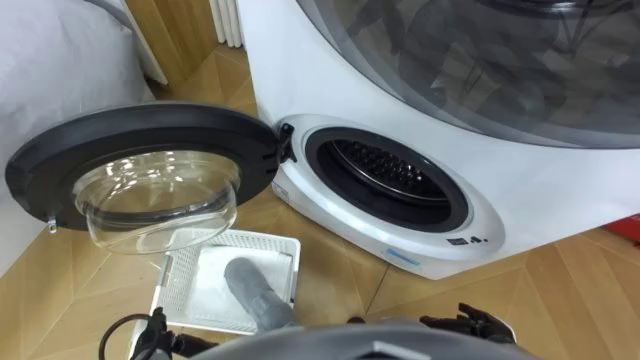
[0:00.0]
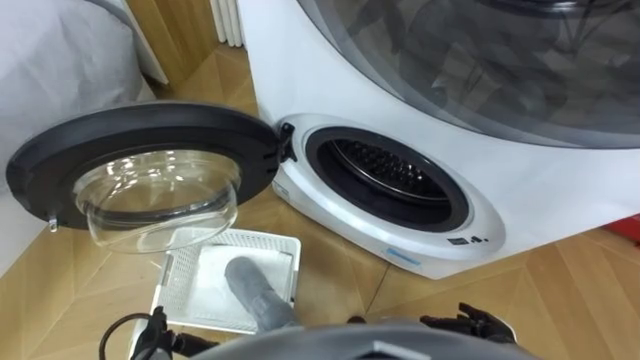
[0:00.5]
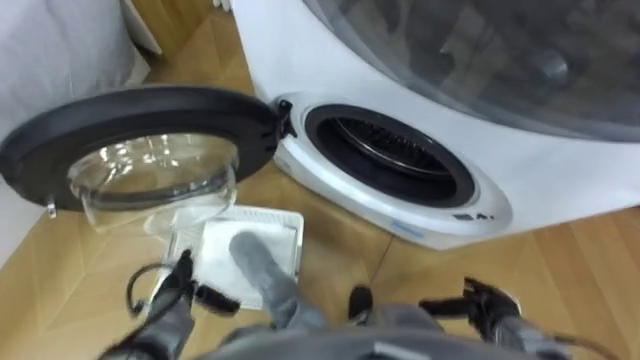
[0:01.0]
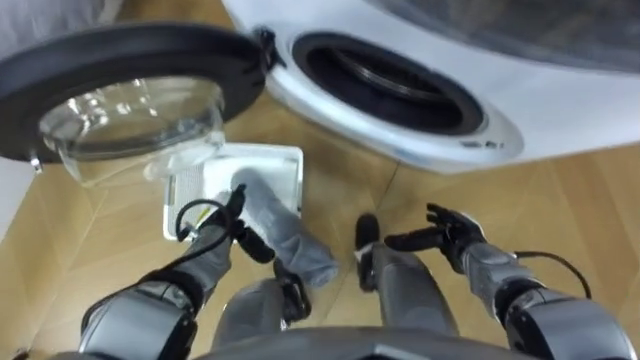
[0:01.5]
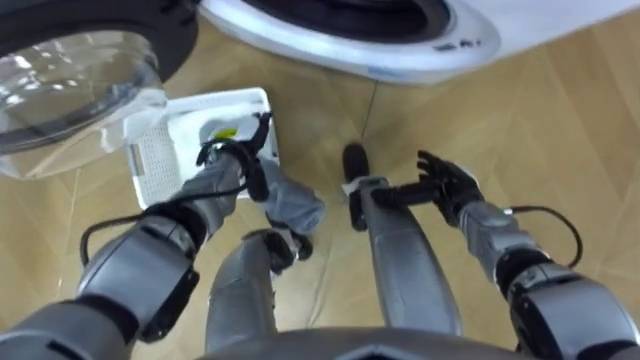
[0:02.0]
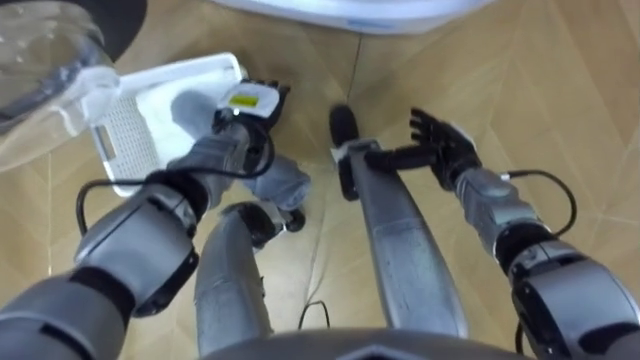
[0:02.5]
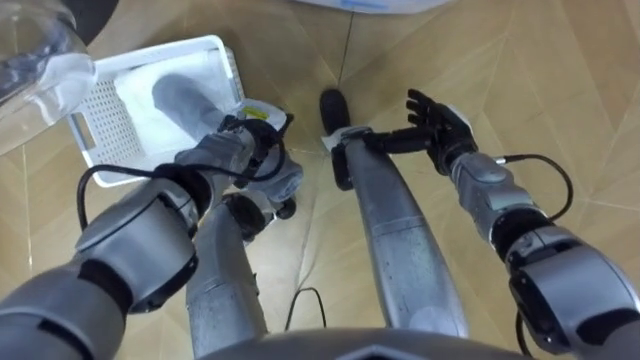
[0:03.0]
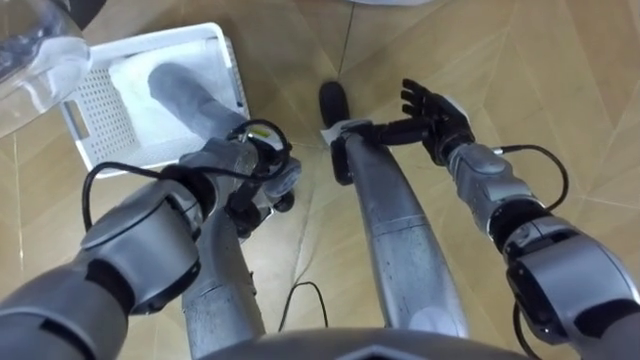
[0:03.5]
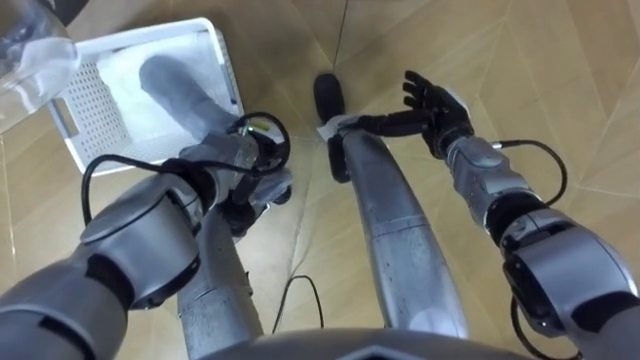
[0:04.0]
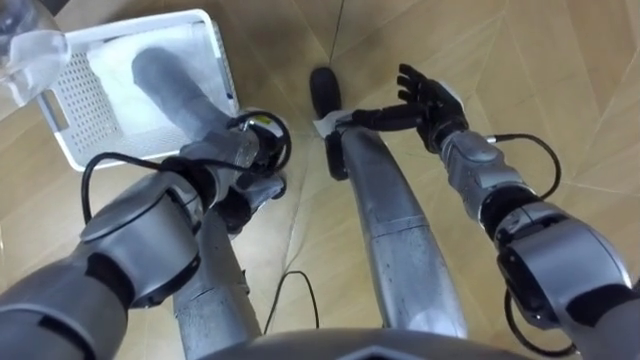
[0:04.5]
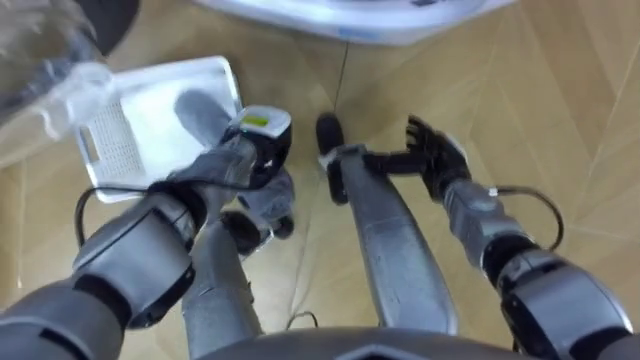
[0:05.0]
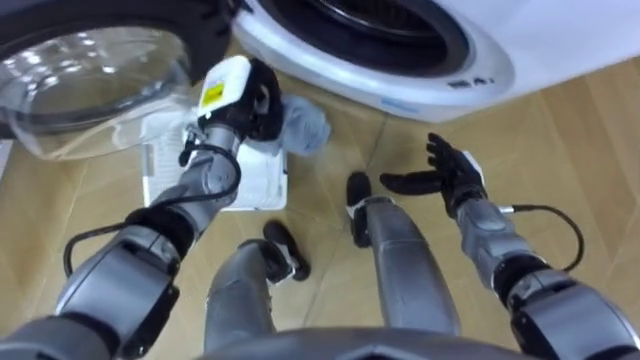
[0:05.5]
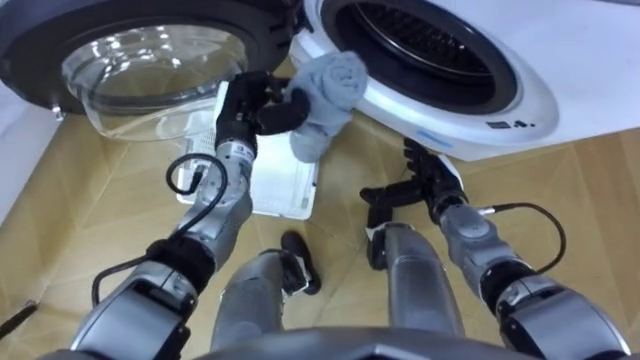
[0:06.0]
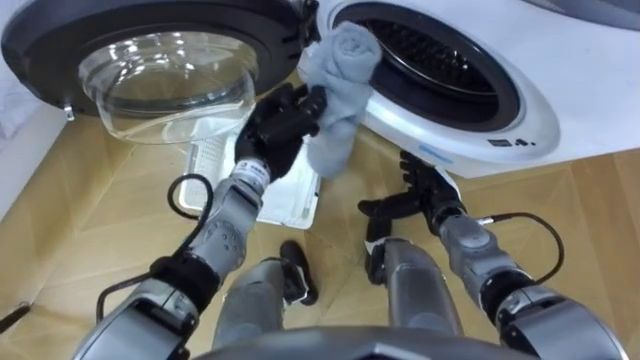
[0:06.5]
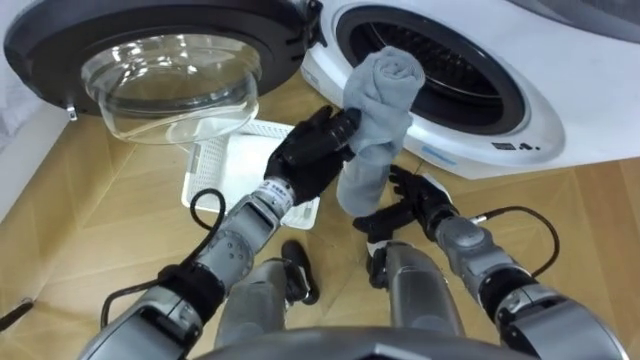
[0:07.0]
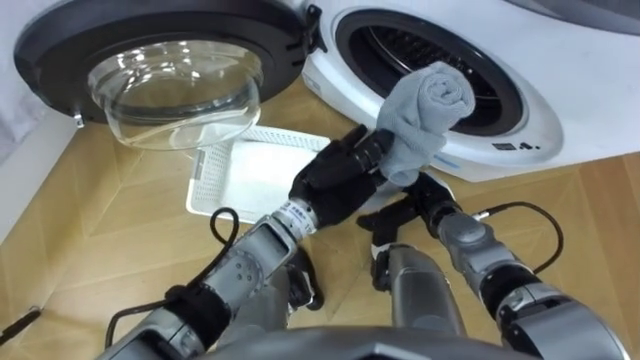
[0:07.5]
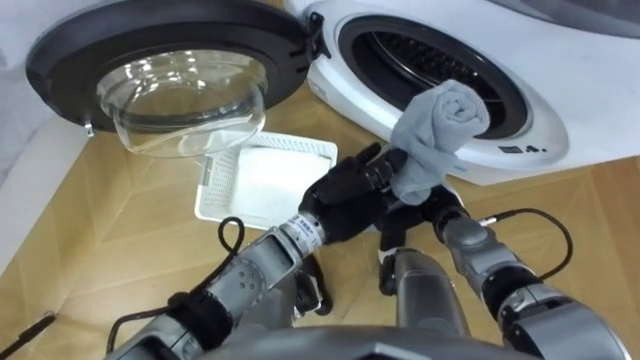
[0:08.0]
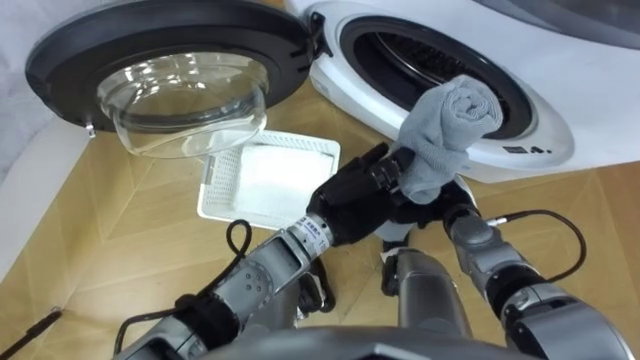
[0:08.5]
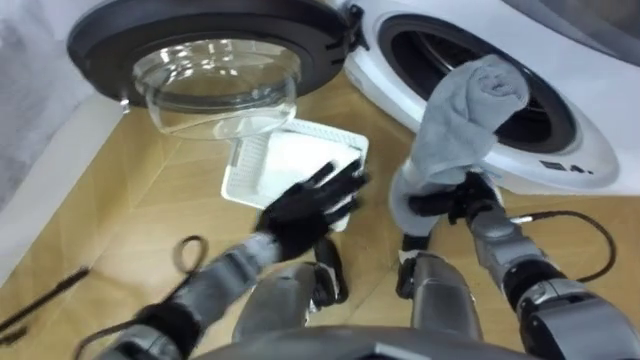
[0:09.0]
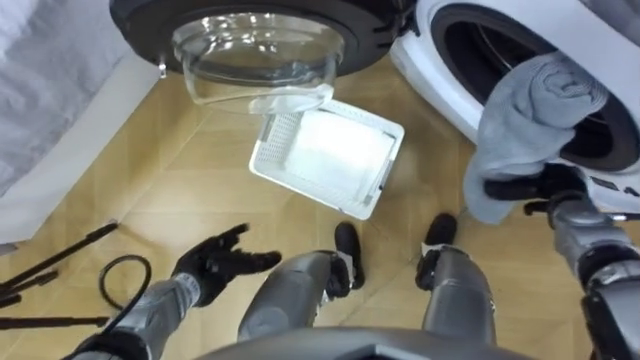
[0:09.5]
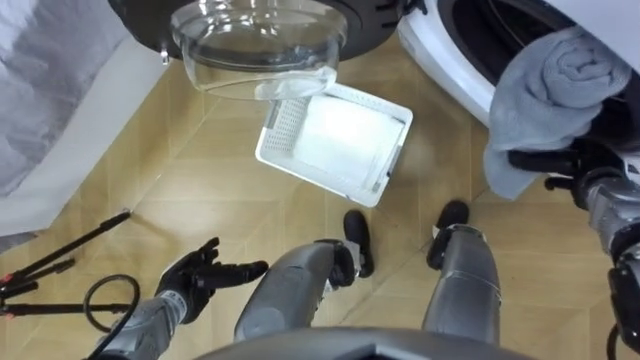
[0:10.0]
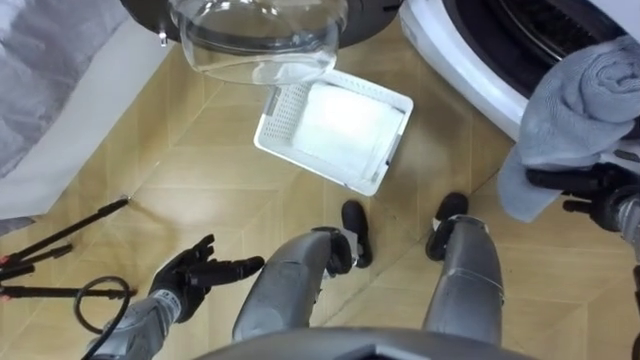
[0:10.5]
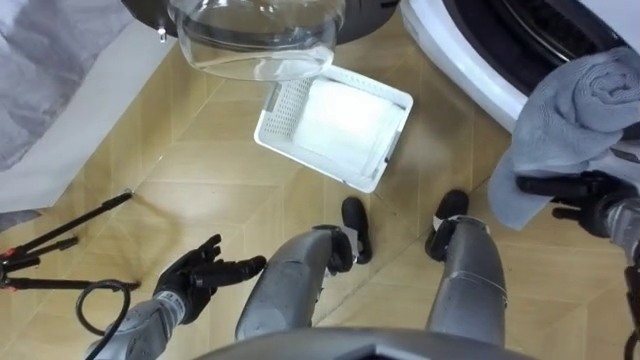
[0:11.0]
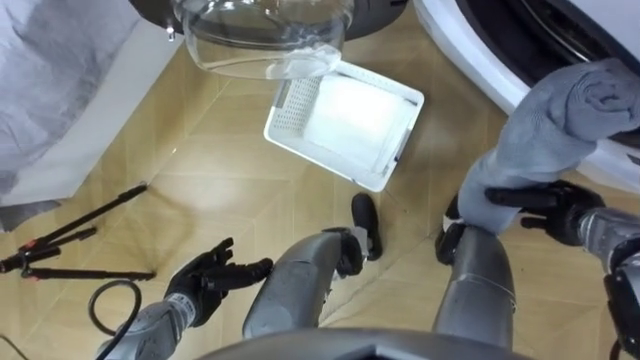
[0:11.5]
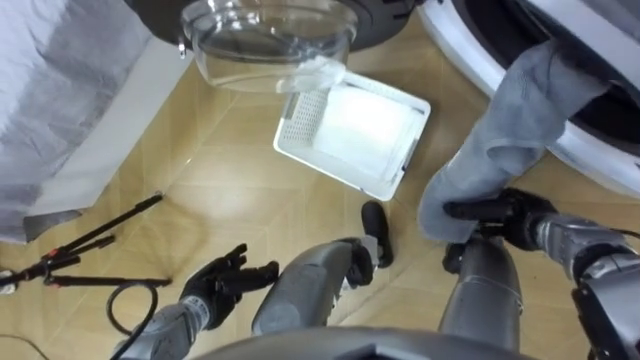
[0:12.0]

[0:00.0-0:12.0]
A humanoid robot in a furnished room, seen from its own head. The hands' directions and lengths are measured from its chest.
Task of the whole recording: Take the towel from the basket and put it into the washing machine.
0:02.0 to 0:04.0: The right hand is displaced forward and upward by some 10 cm.
0:04.0 to 0:06.0: The left hand heads upward, covering some 5 cm, and closes. Meanwhile the right hand heads backward and downward, covering about 10 cm.
0:06.0 to 0:08.0: The left hand is displaced to the right and backward by some 20 cm.
0:08.0 to 0:10.0: The right hand heads to the right, covering some 20 cm, and closes its fingers. The left hand goes roughly 30 cm to the left, downward and backward, and opens.
0:10.0 to 0:12.0: The right hand travels to the left, downward and backward by some 10 cm.

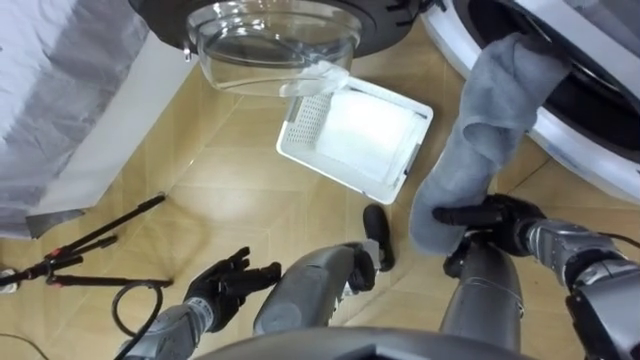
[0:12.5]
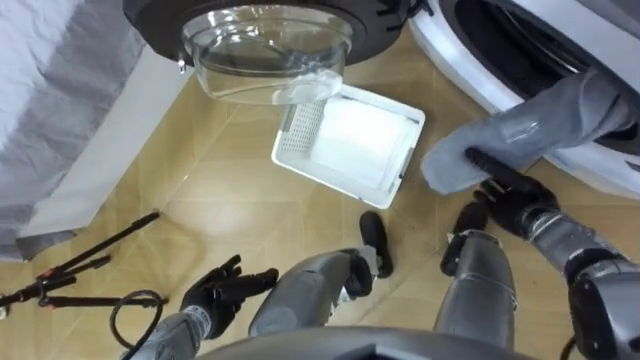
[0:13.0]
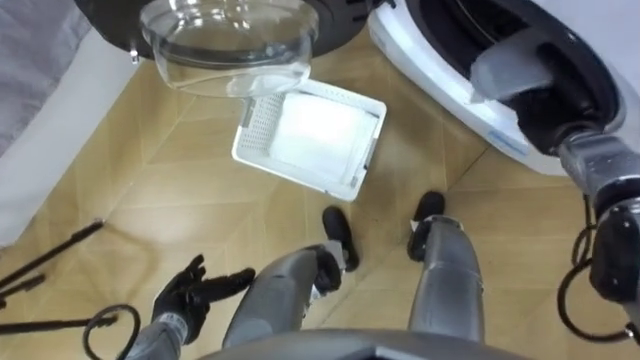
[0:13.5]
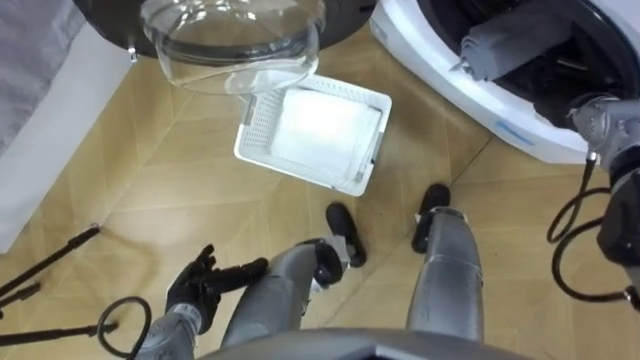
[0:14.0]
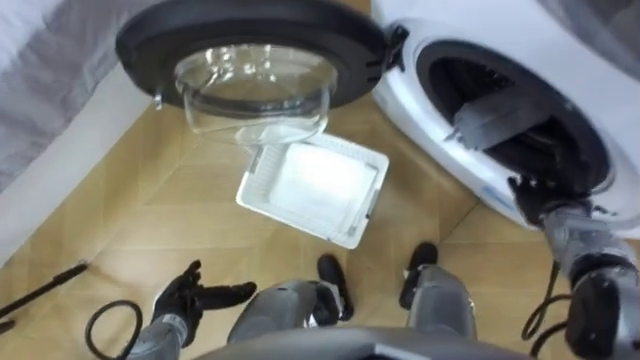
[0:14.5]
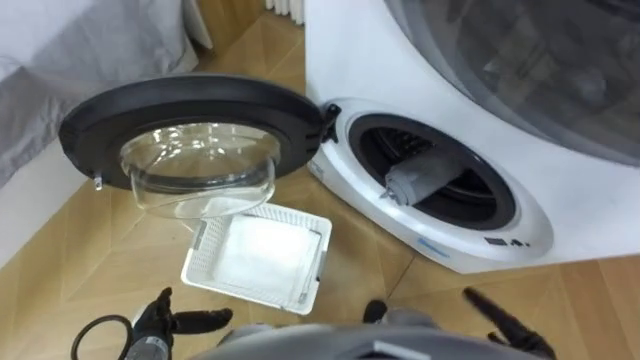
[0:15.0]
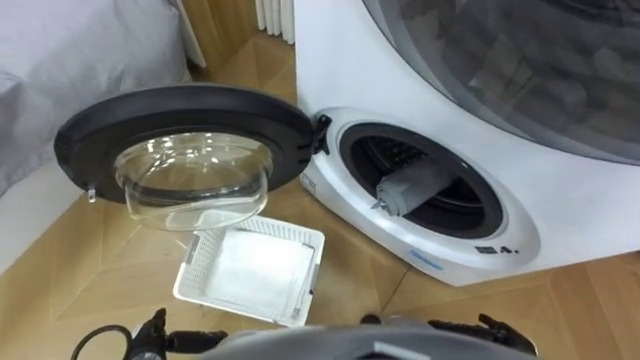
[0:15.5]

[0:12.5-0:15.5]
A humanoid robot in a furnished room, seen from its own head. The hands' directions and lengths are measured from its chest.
Task of the whole recording: Take the towel from the basket and put it into the washing machine.
0:12.5 to 0:14.0: The right hand heads forward, upward and to the right, covering approximately 20 cm, and opens up.
0:14.0 to 0:15.5: The left hand shifts about 10 cm backward and to the left. Meanwhile the right hand shifts some 40 cm backward and downward.

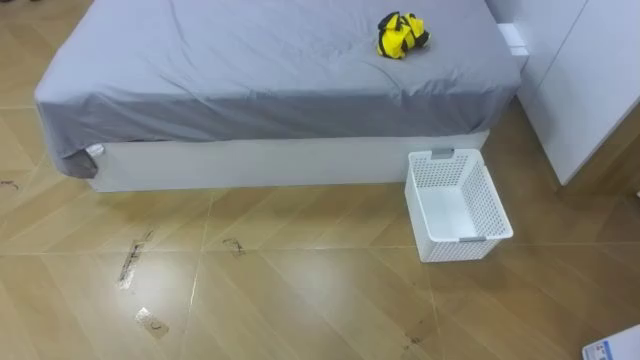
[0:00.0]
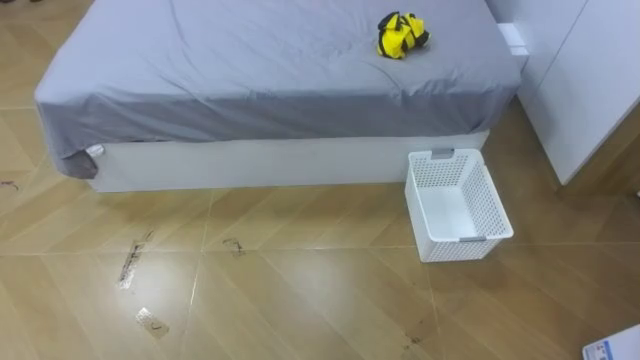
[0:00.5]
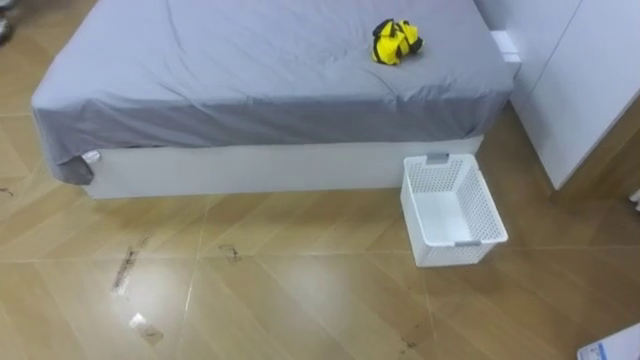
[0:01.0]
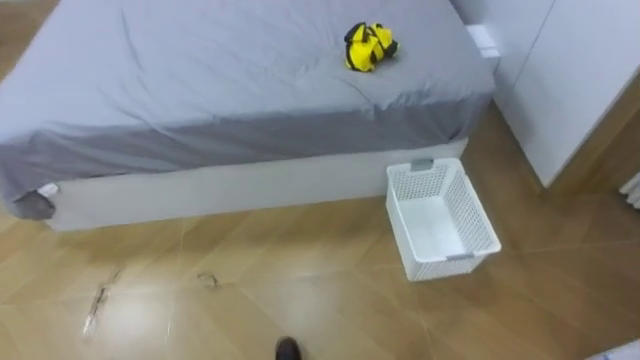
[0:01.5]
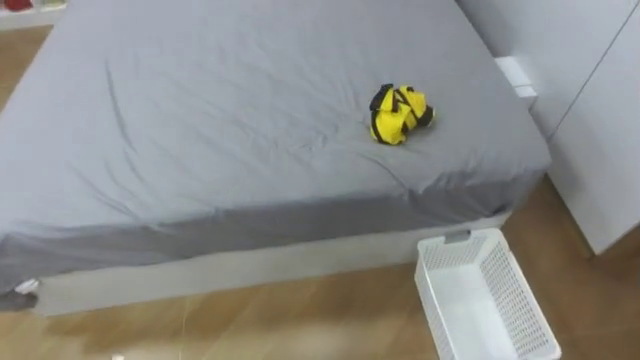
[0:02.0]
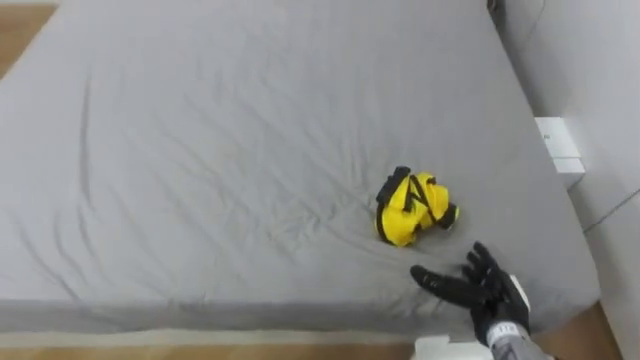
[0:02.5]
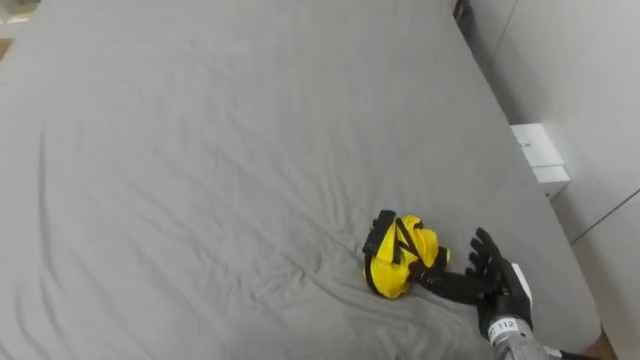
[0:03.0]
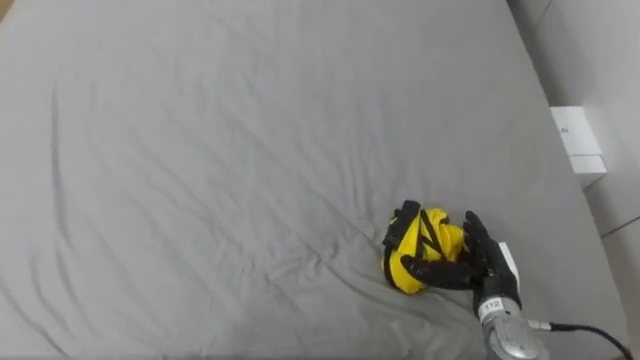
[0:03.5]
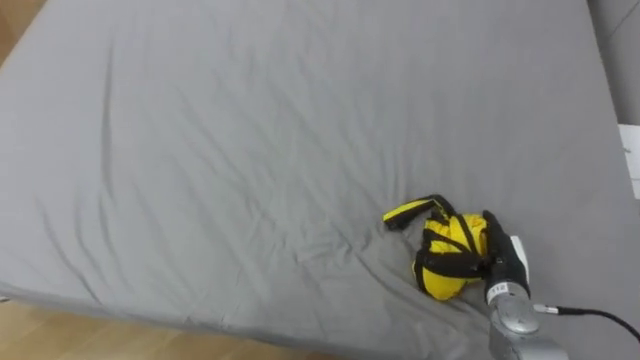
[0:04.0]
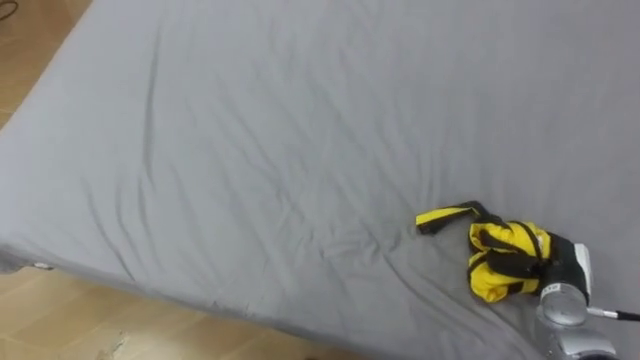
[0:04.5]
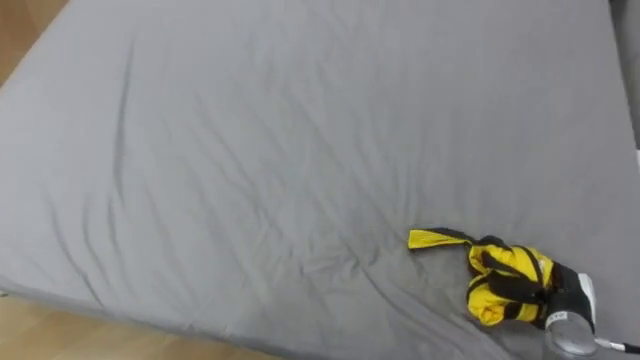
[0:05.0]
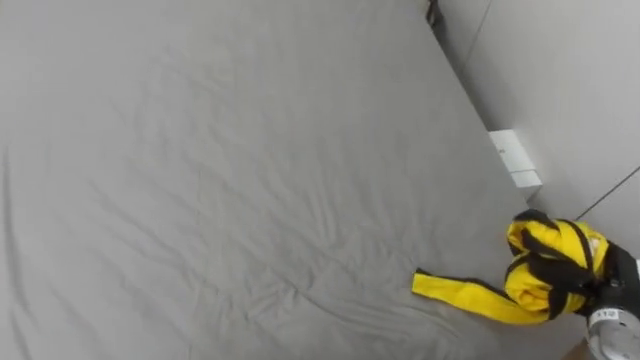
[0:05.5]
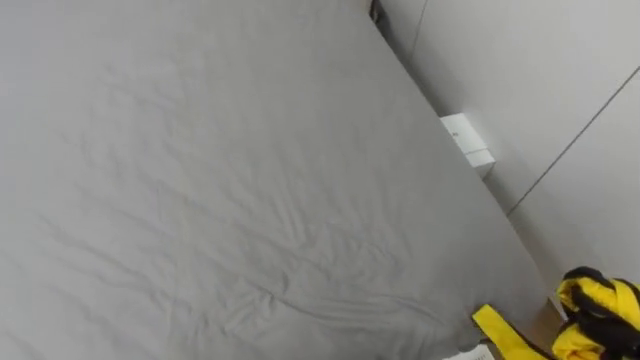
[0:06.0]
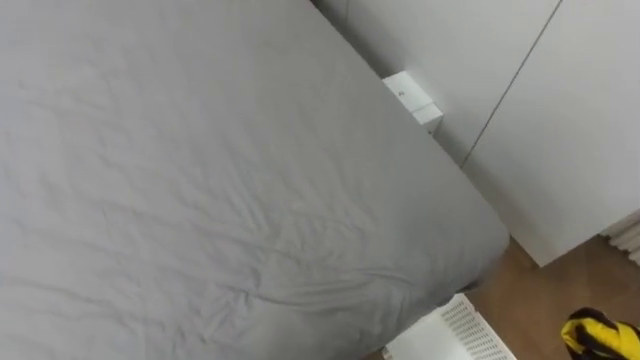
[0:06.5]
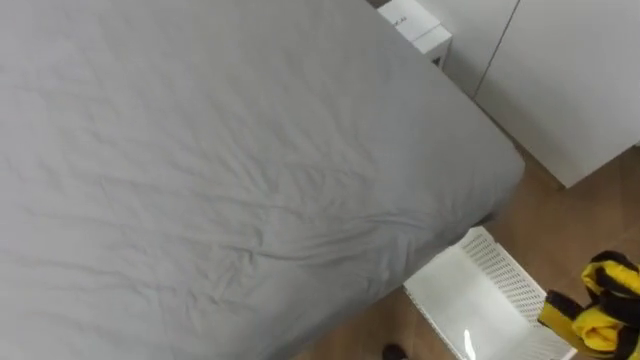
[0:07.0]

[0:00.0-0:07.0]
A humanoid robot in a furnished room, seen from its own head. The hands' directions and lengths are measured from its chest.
Task of the whole recording: Pick up the yellow clothes on the bed and place them into the white basket on the right.
0:03.5 to 0:05.0: The right hand goes about 10 cm to the right, and closes its fingers.
